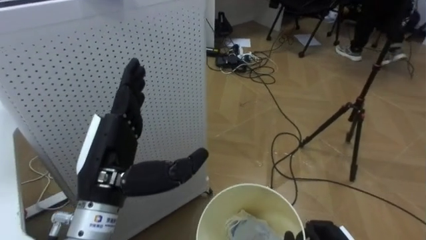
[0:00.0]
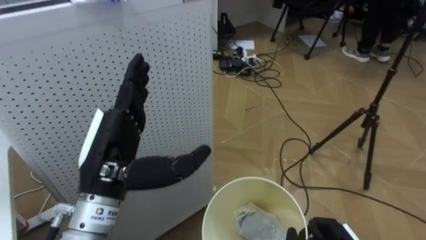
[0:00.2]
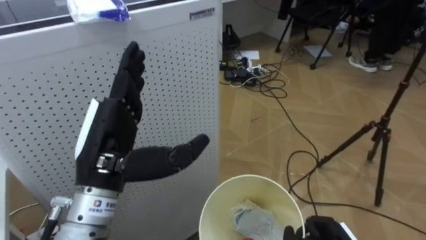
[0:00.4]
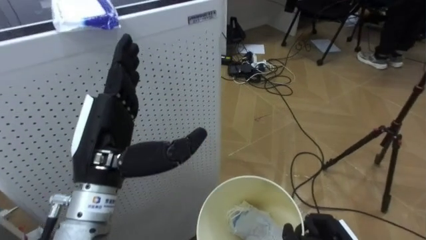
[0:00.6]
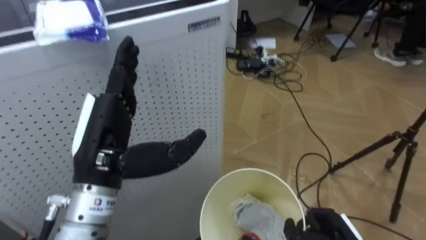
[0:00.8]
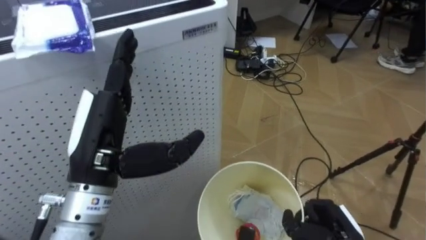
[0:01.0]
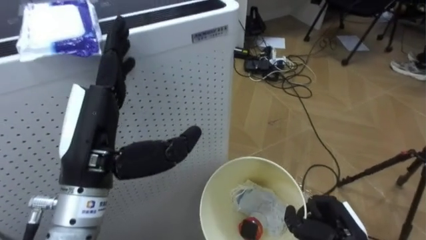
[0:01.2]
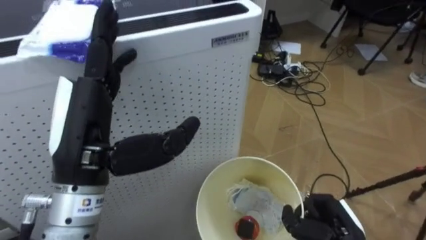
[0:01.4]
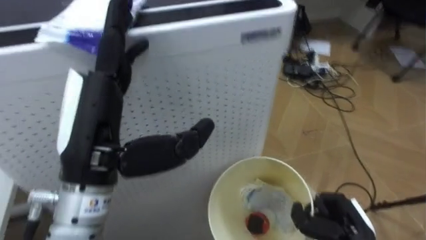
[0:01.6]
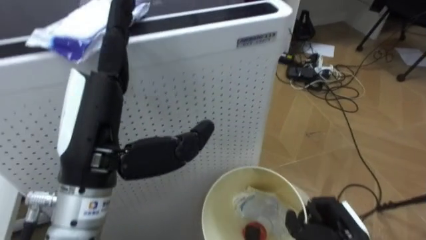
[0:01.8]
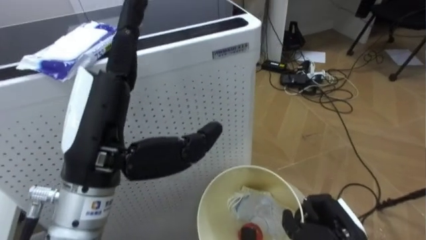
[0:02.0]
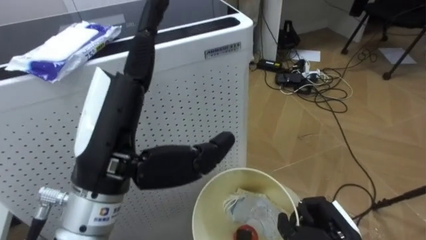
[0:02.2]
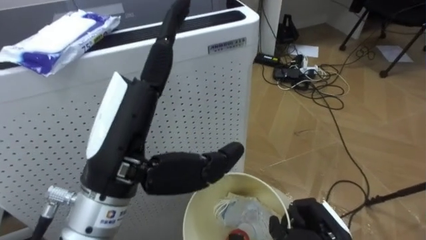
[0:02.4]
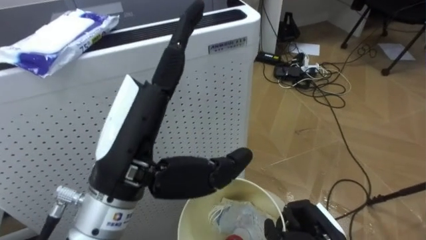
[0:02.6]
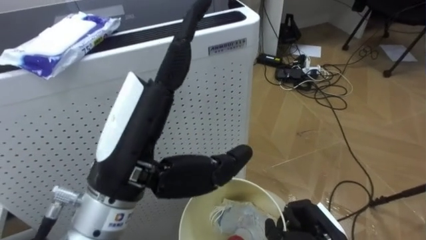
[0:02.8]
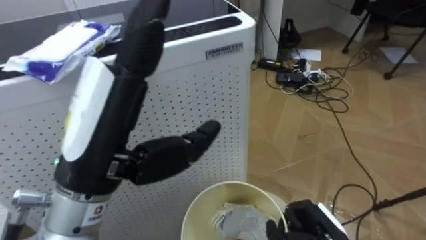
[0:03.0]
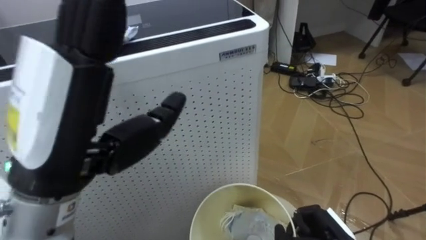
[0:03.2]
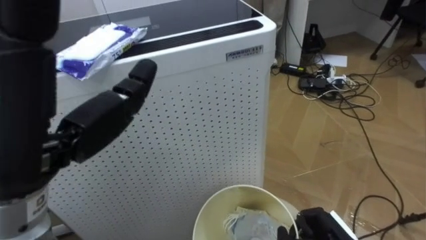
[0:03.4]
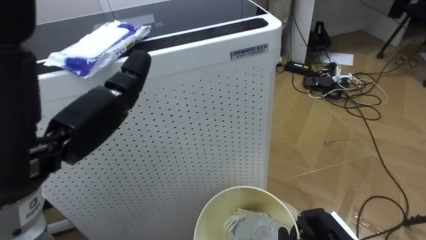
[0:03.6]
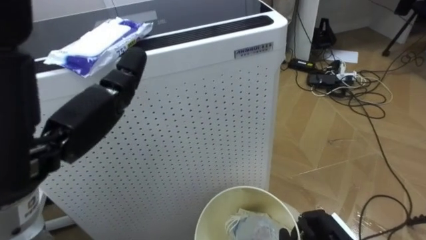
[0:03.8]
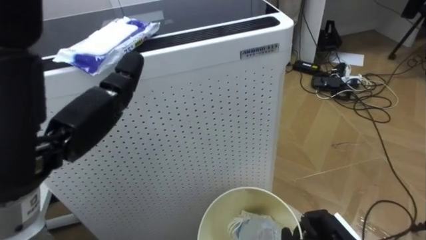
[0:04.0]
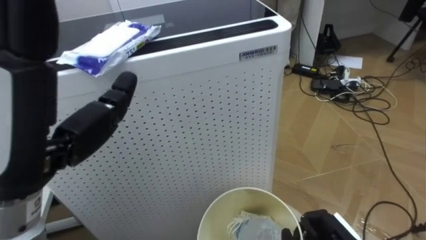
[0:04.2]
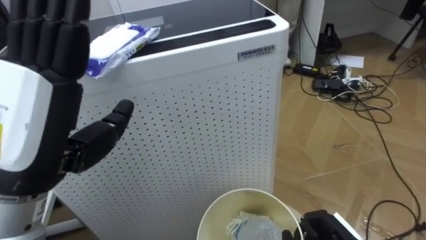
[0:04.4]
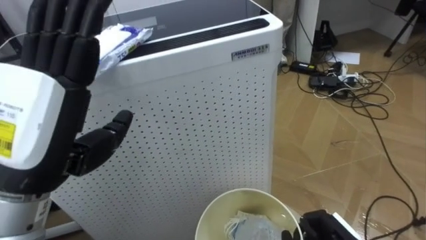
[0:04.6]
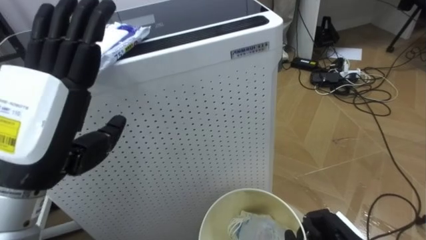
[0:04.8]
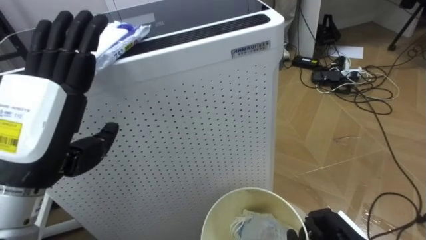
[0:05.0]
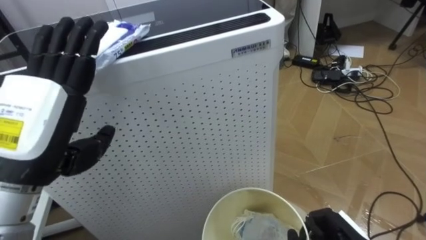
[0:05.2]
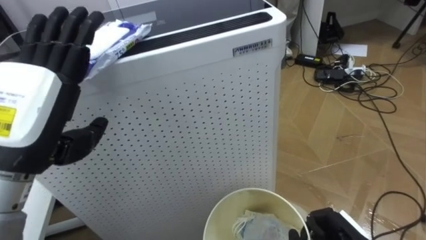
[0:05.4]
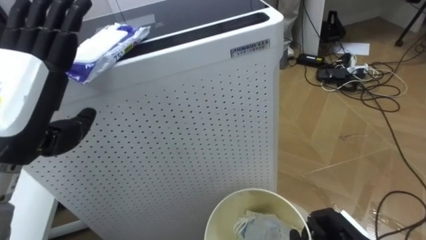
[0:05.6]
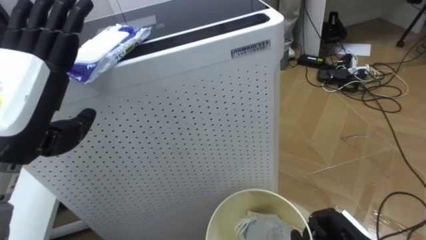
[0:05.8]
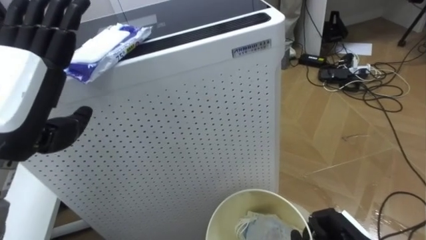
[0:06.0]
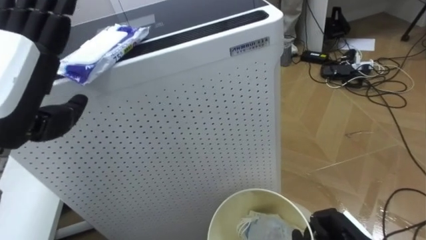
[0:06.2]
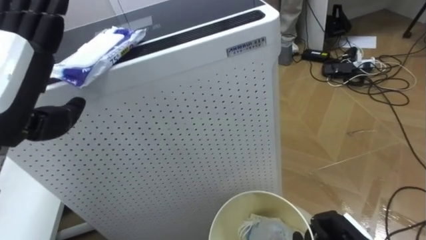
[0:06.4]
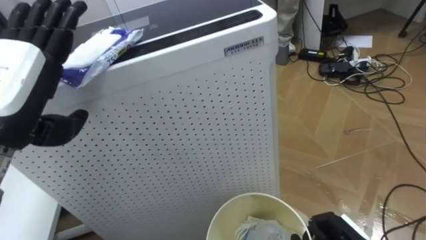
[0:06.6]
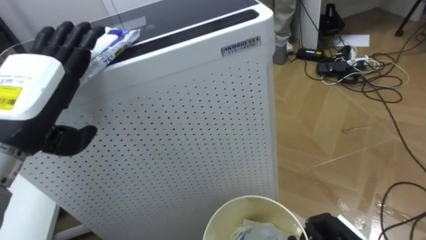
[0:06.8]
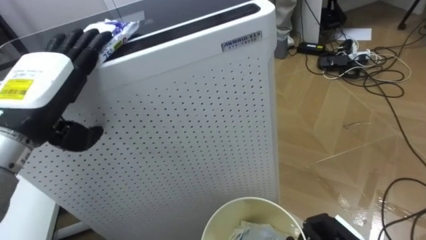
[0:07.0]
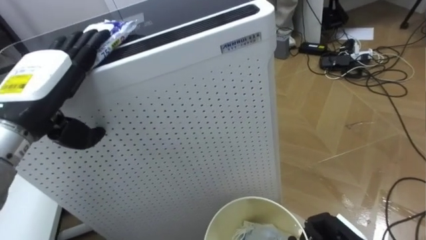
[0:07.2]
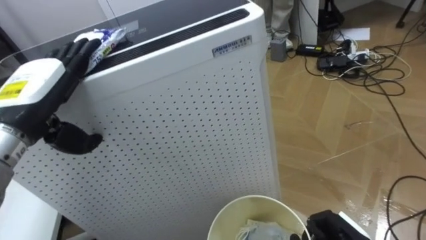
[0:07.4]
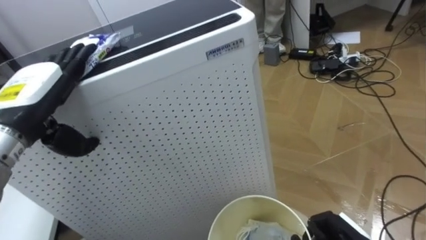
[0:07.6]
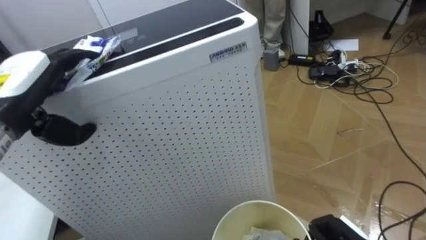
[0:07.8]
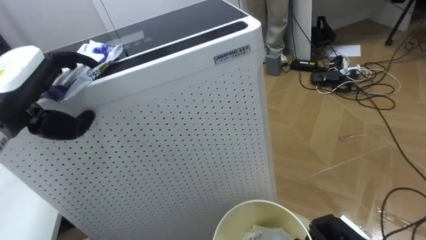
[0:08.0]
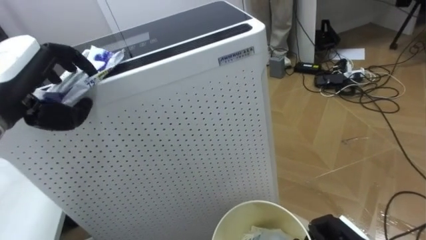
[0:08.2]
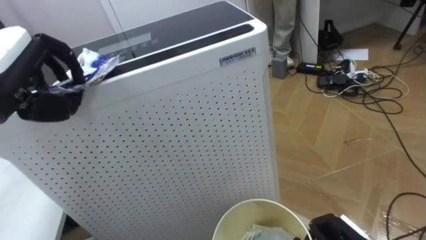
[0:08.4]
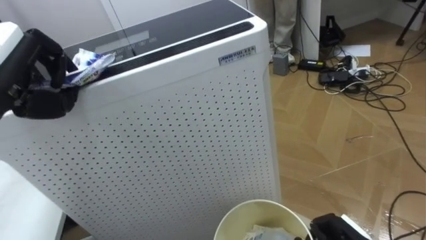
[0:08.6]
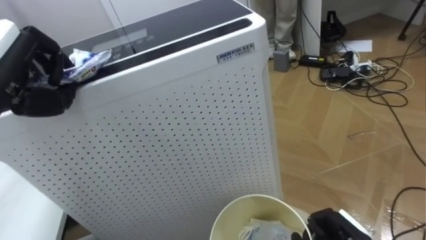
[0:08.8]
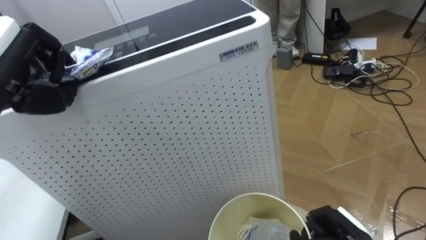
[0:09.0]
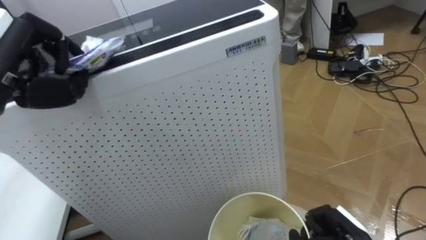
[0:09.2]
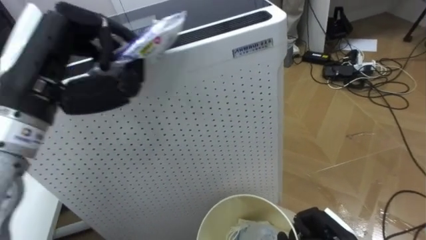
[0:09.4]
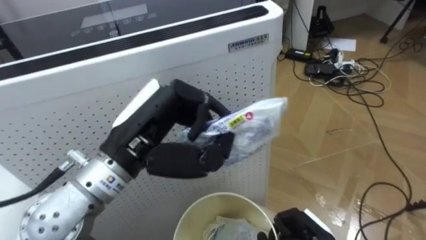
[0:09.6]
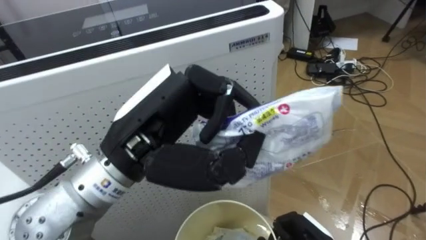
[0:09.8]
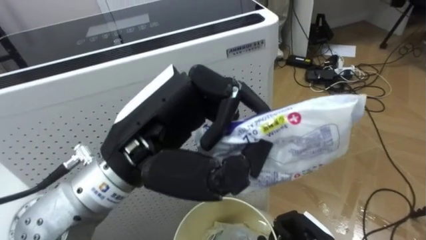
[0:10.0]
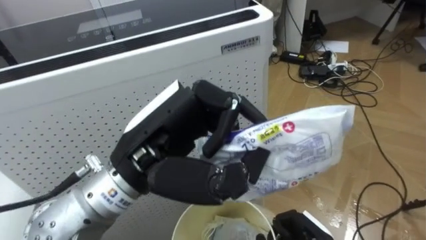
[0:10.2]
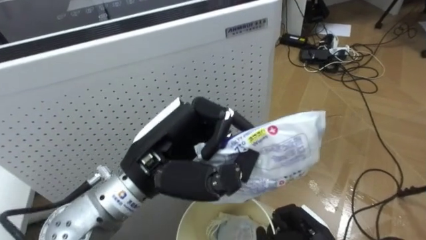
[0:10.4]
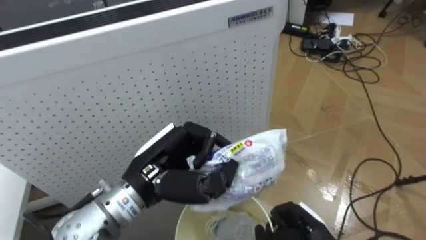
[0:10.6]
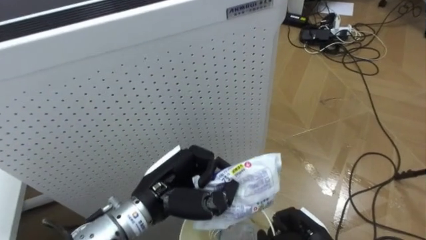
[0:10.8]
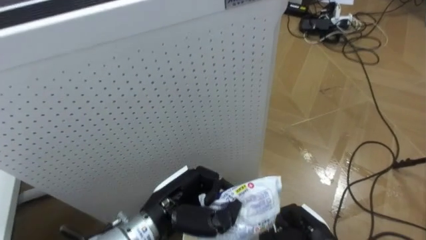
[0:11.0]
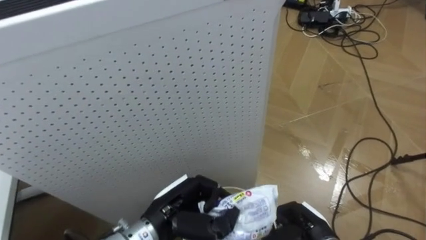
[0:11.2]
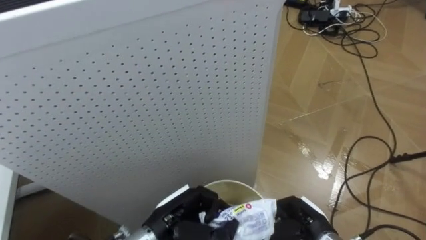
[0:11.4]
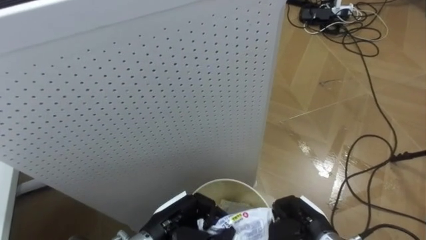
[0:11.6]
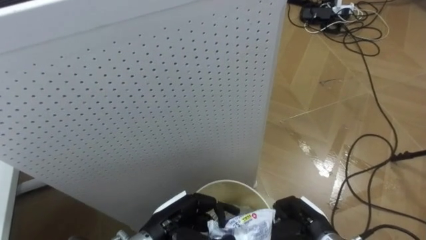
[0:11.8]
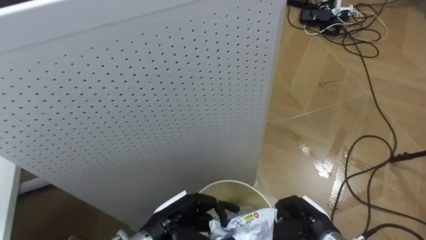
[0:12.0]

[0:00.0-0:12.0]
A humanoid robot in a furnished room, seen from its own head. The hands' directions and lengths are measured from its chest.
Task of the whole recording: Pick up the light blue package, the candy box, and the dark blue package separately, and put them into the trash can held in your right hand.
0:00.0 to 0:01.6: The robot faces about 20 degrees further to its left. The left hand heads upward, covering some 10 cm.
0:04.4 to 0:06.0: The left hand ends up about 5 cm from where it was.
0:10.4 to 0:12.0: The left hand shifts approximately 20 cm downward.

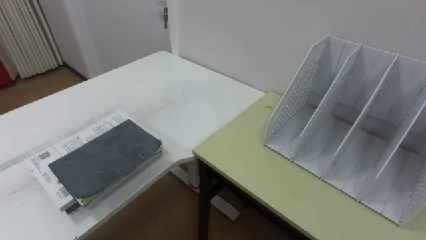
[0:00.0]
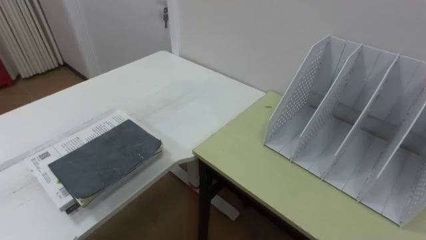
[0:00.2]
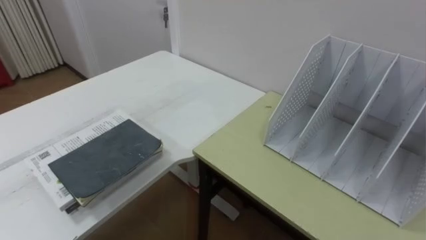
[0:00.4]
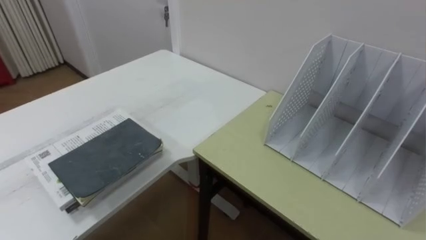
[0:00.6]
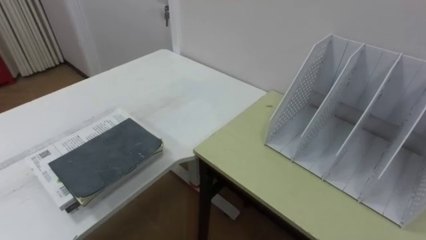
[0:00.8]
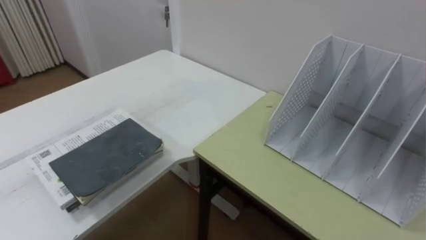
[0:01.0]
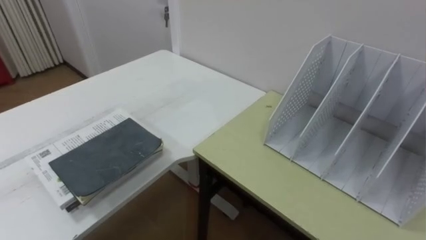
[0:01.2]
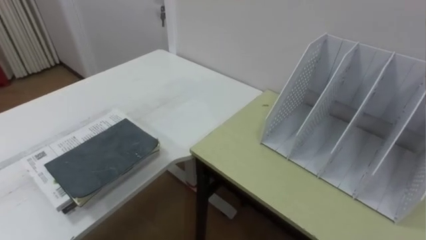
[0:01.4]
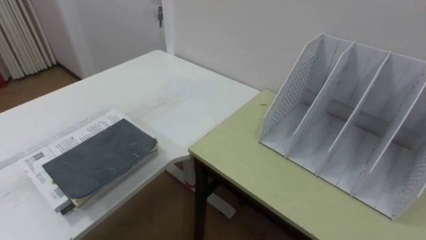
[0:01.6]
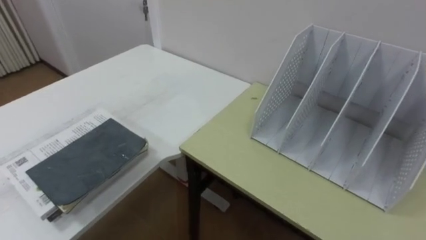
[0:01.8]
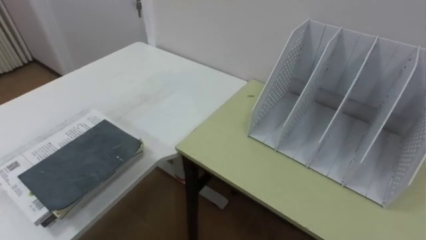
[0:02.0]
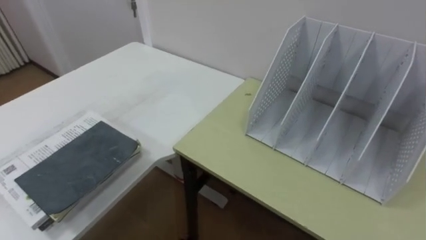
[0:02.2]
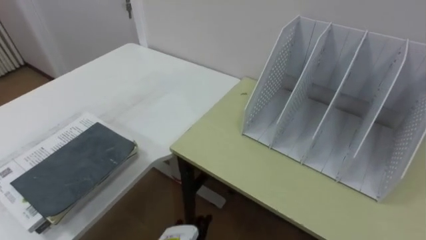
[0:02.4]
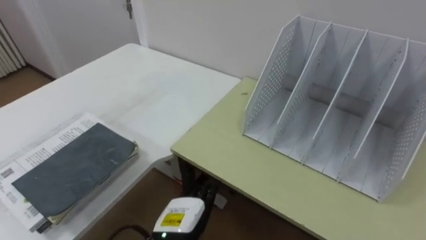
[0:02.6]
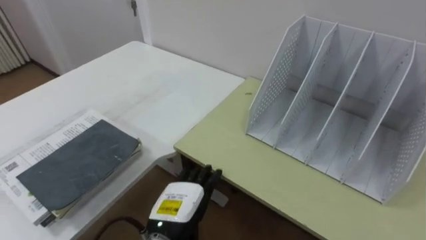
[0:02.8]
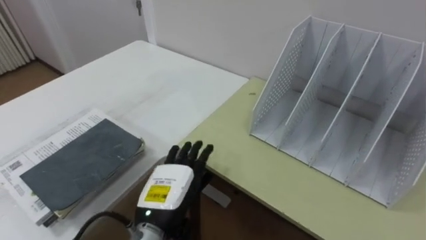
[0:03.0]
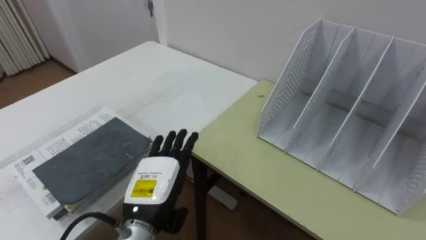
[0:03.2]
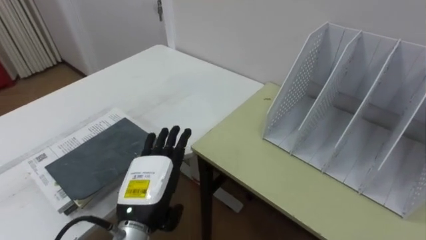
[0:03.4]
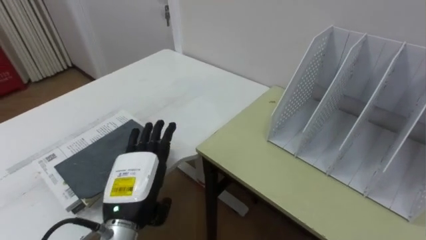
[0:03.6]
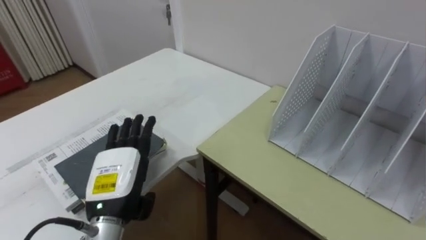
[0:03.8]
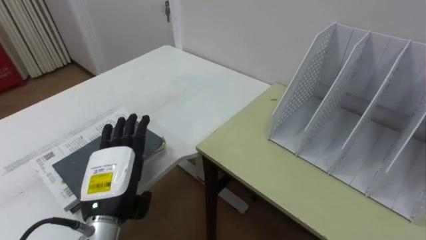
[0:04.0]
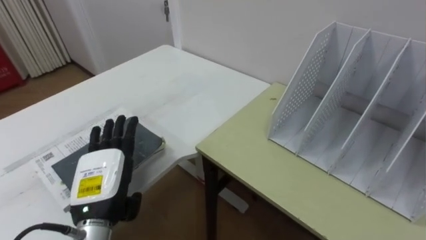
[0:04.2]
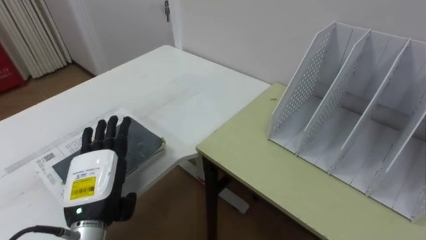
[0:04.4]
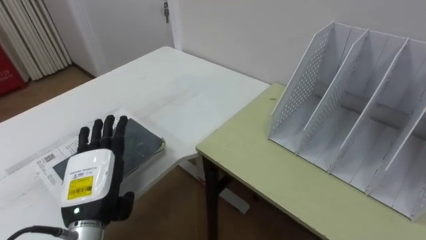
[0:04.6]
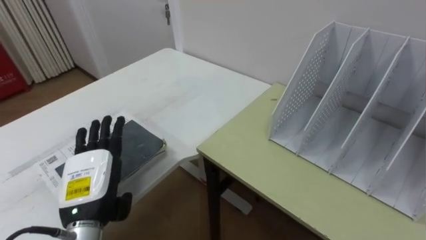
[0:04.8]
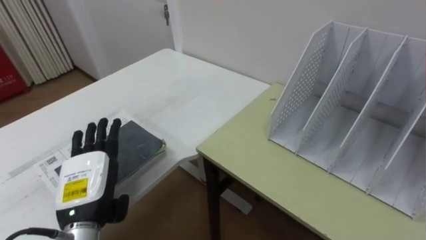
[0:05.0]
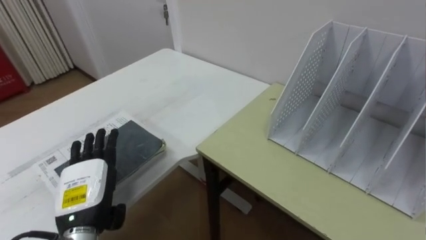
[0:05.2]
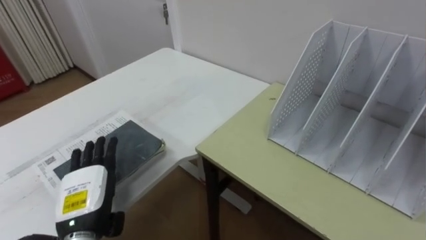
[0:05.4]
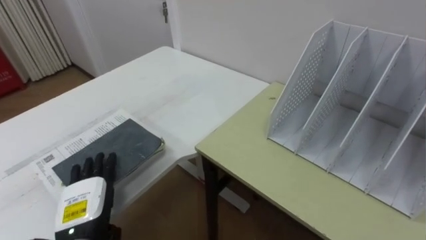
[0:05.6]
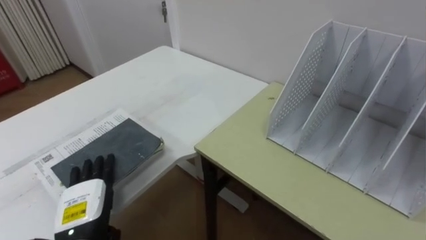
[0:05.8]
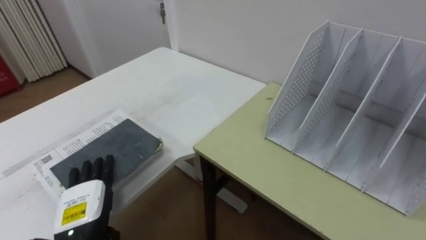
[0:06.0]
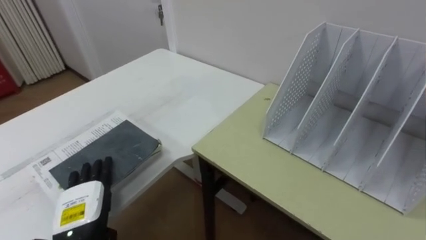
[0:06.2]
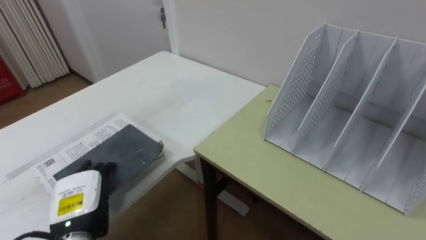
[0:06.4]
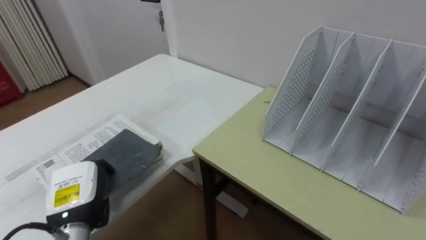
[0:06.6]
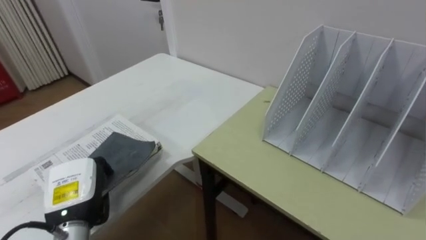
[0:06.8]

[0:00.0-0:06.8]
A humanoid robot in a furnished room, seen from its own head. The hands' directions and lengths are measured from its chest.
Task of the whole recording: Put the books on the table onto the bookshelf.
0:02.8 to 0:04.0: The left hand heads to the left and upward, covering approximately 10 cm.
0:04.0 to 0:05.4: The left hand ends up some 5 cm from where it was.
0:05.4 to 0:06.8: The left hand closes.
